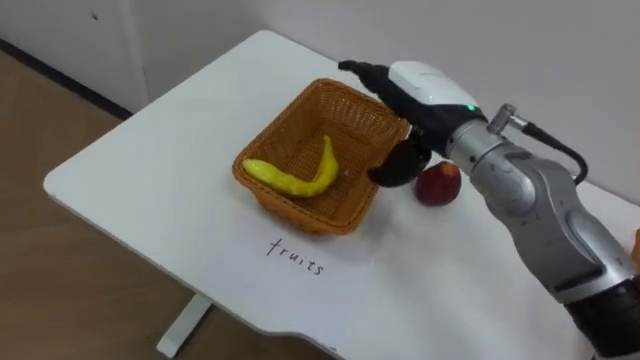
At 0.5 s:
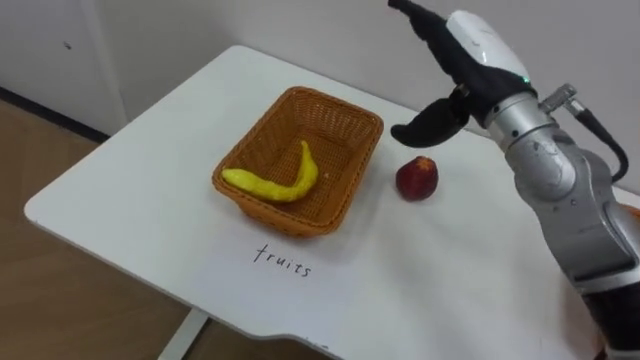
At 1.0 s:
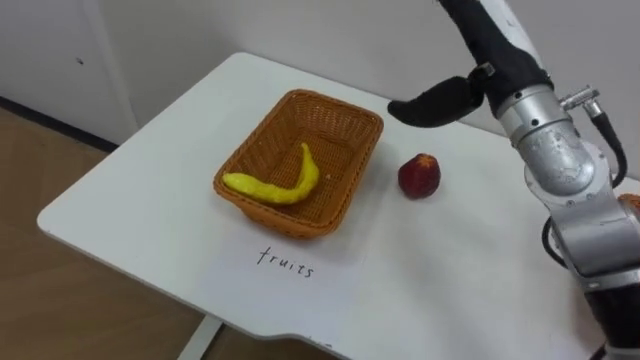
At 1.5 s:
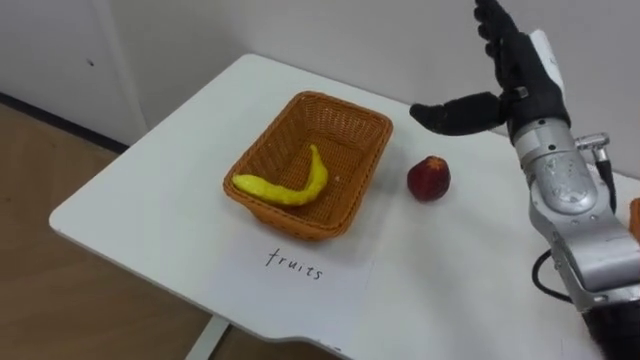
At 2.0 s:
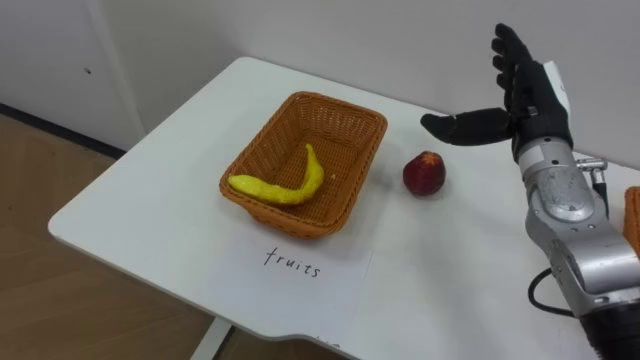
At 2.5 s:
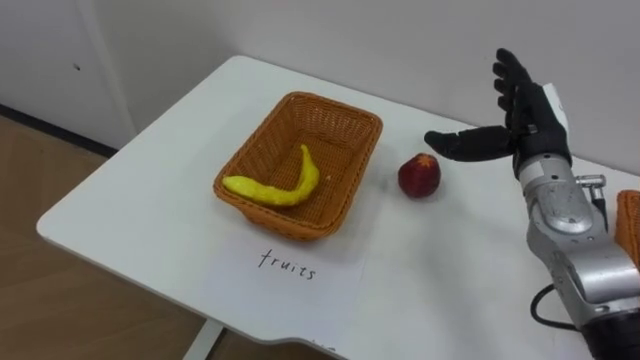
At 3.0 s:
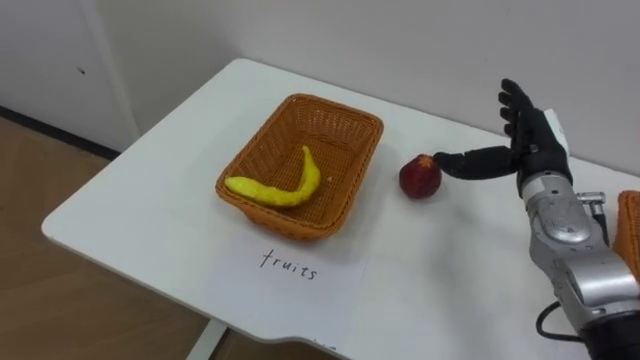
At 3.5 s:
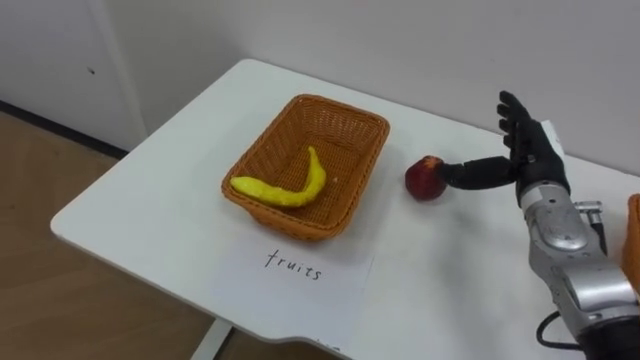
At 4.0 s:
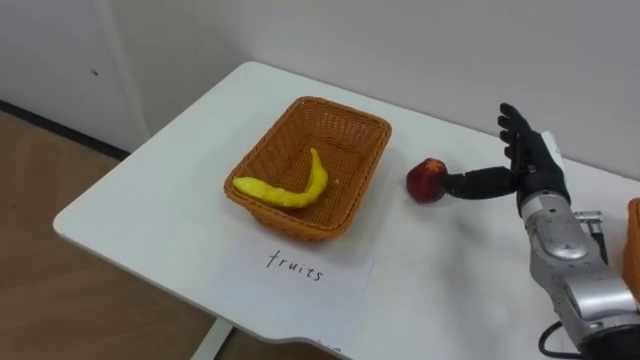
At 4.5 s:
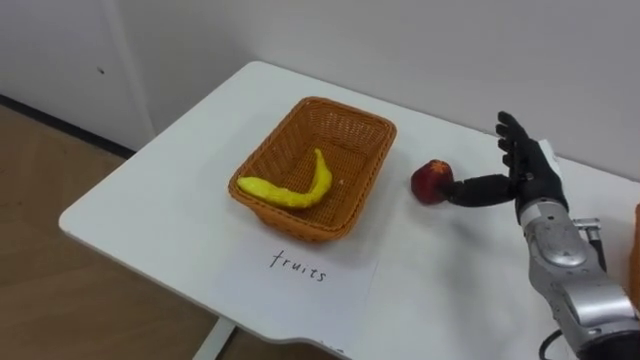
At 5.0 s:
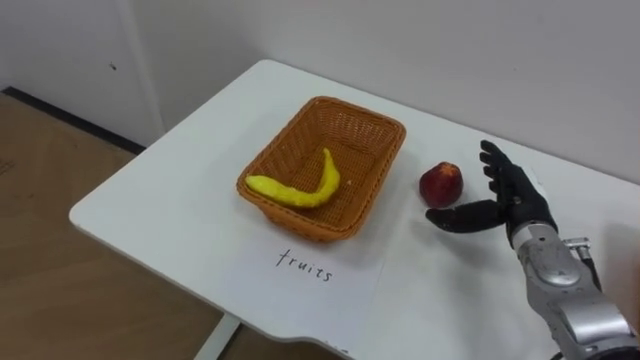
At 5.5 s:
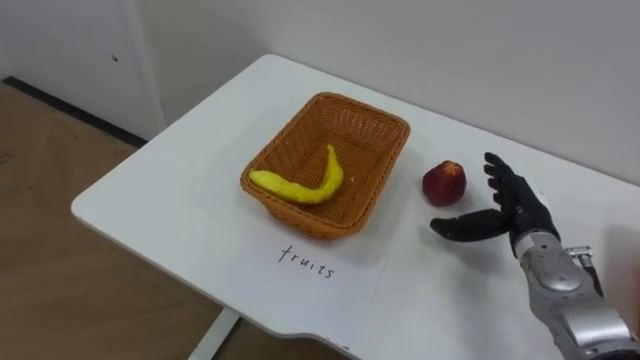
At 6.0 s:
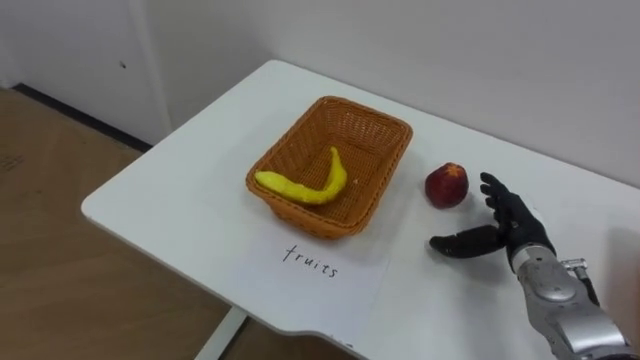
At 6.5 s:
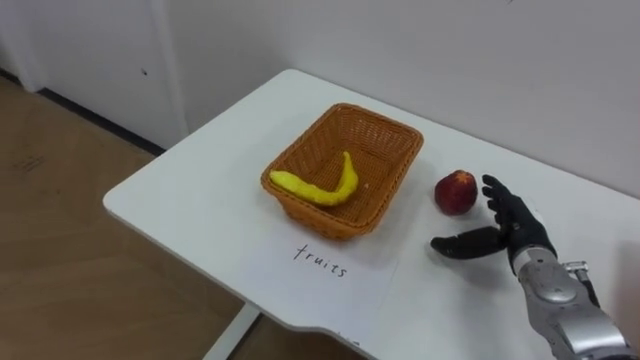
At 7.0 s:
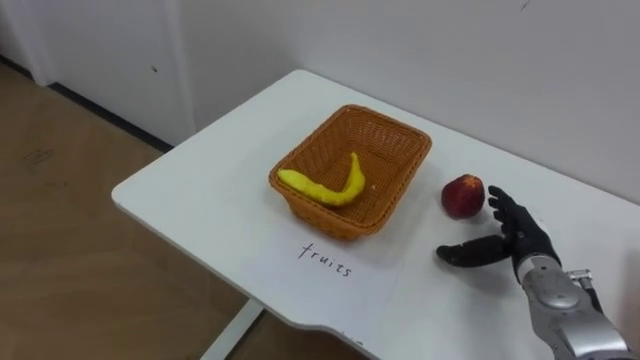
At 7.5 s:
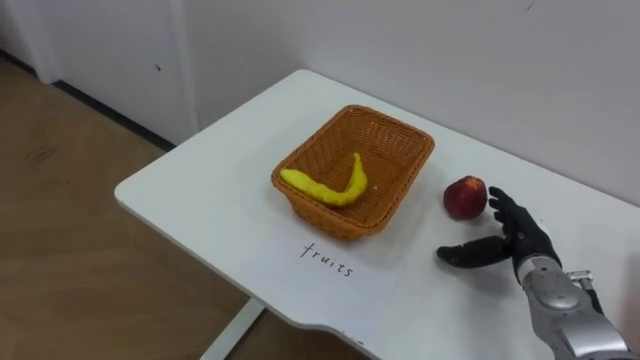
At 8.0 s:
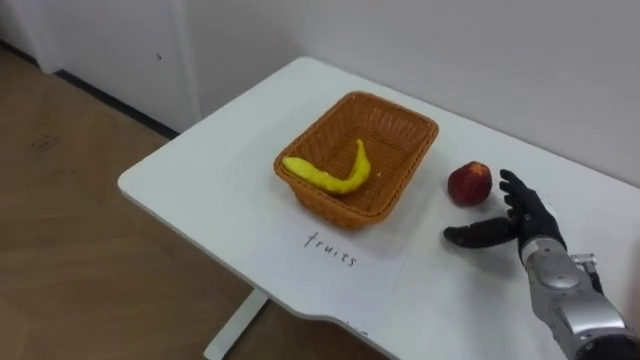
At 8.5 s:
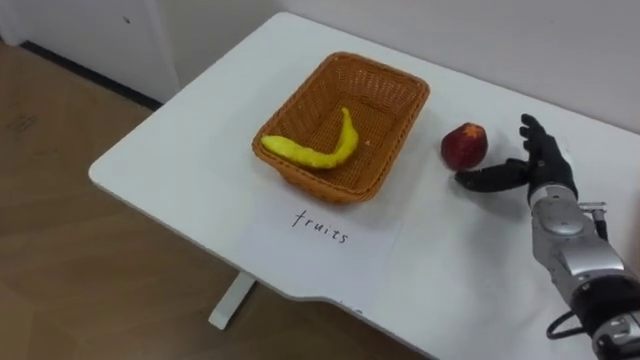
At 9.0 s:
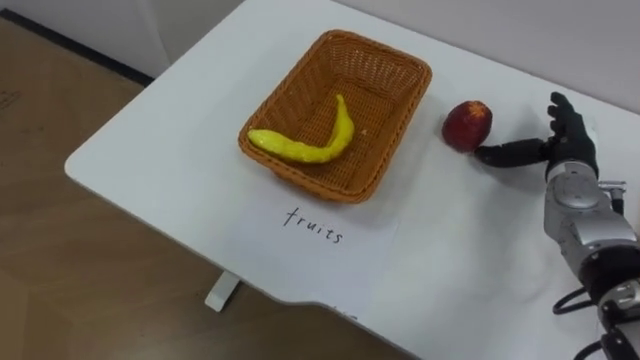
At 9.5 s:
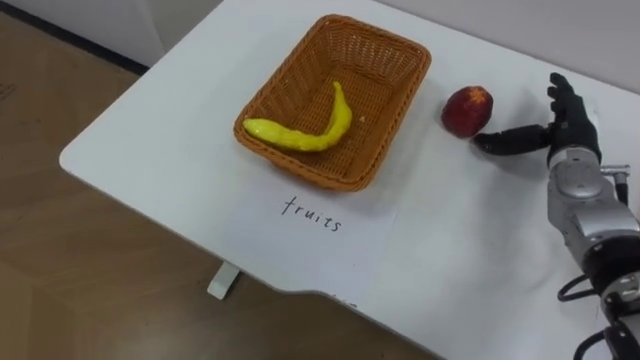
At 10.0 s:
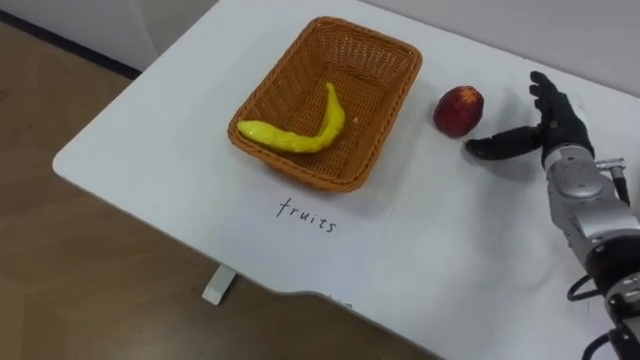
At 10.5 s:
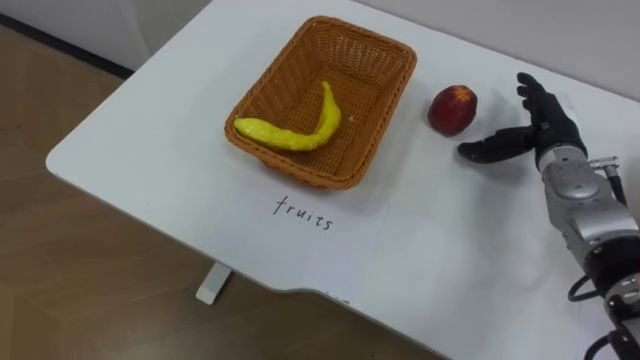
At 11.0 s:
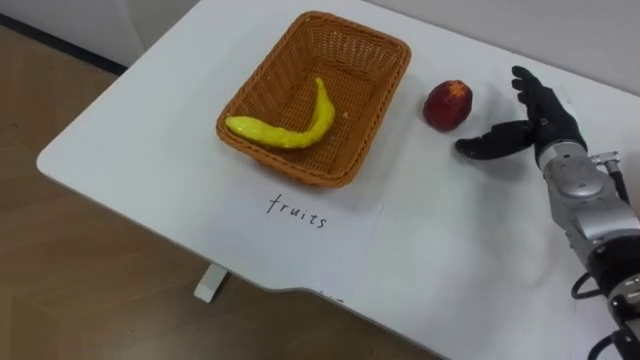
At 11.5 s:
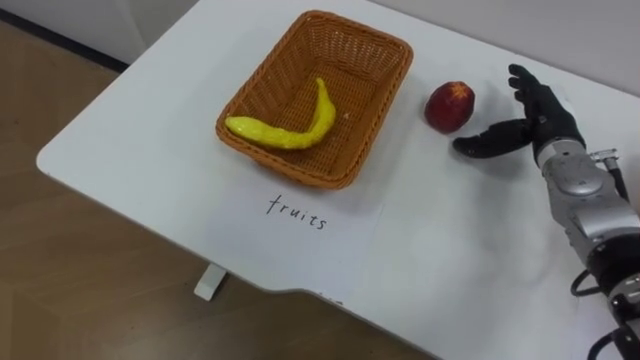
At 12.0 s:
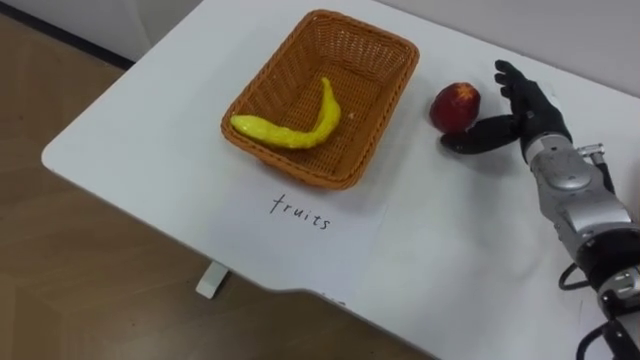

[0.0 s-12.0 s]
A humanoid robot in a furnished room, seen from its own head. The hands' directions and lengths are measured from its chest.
Task of the whole recording: Separate the items on the table and place them into the two baskets.
0.0 to 2.0 s: The right hand travels to the right by some 10 cm.
2.0 to 4.0 s: The right hand shifts some 10 cm downward.
4.0 to 6.0 s: The right hand shifts about 10 cm downward.
8.0 to 10.0 s: The right hand is displaced upward and forward by approximately 15 cm.

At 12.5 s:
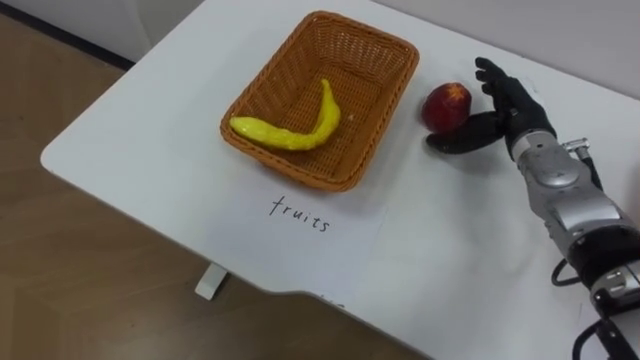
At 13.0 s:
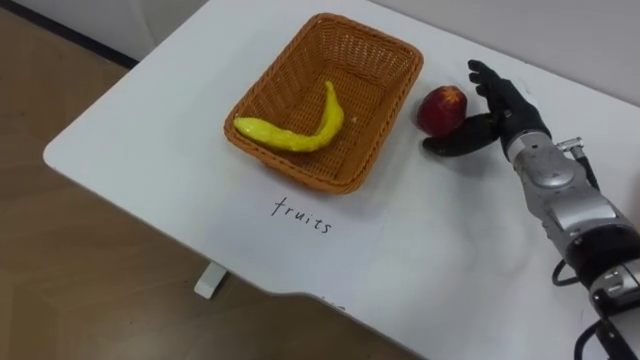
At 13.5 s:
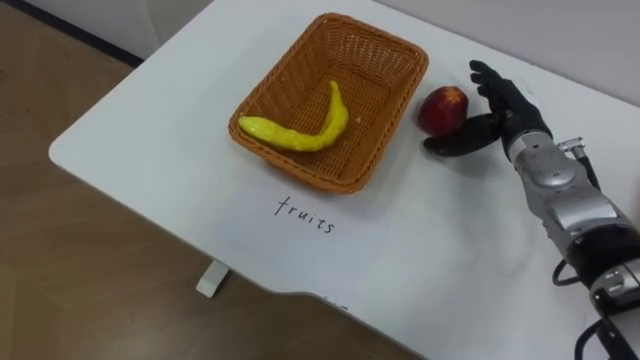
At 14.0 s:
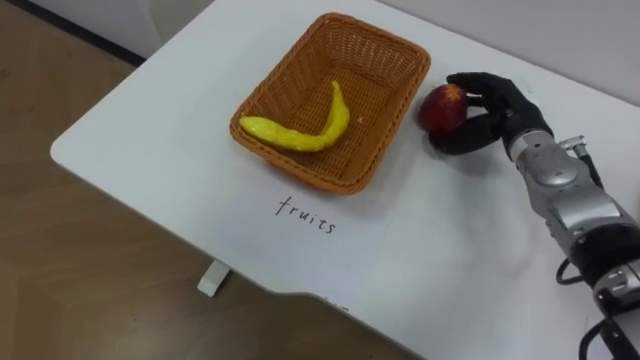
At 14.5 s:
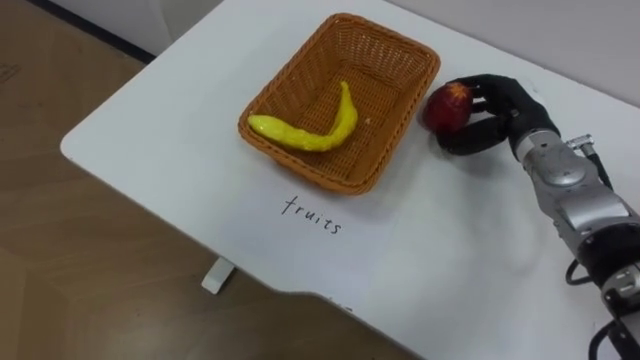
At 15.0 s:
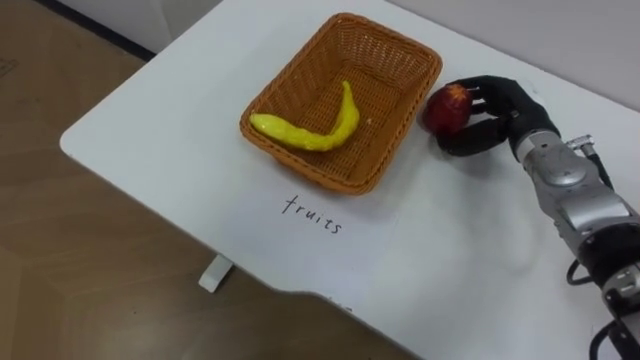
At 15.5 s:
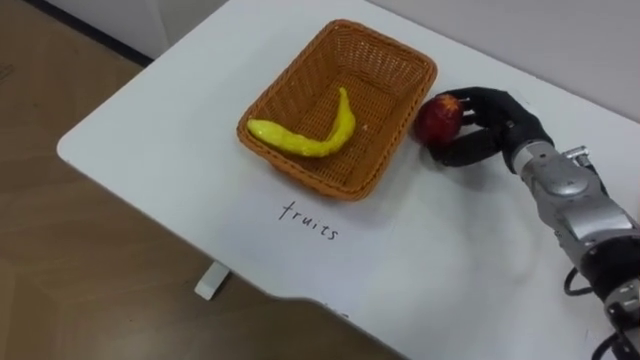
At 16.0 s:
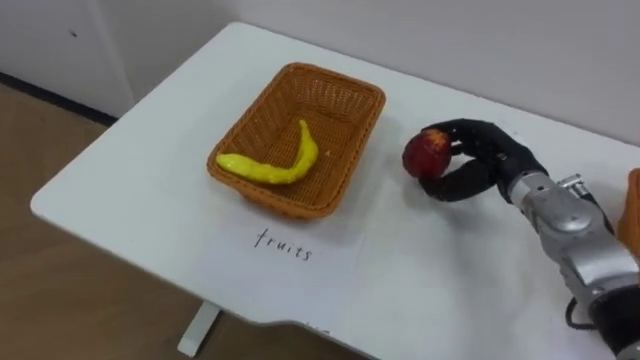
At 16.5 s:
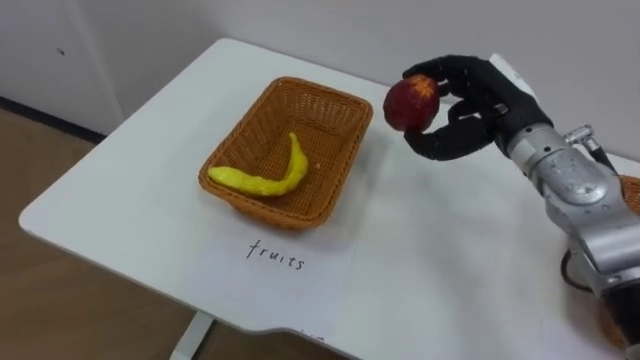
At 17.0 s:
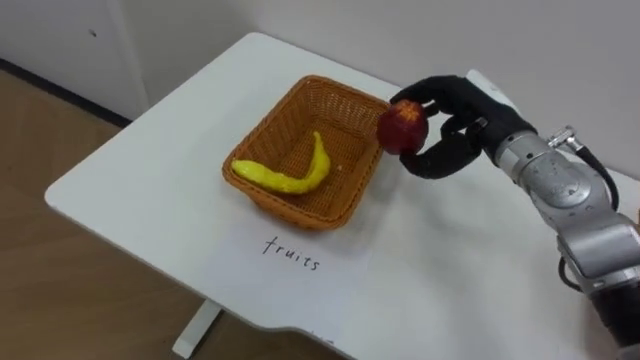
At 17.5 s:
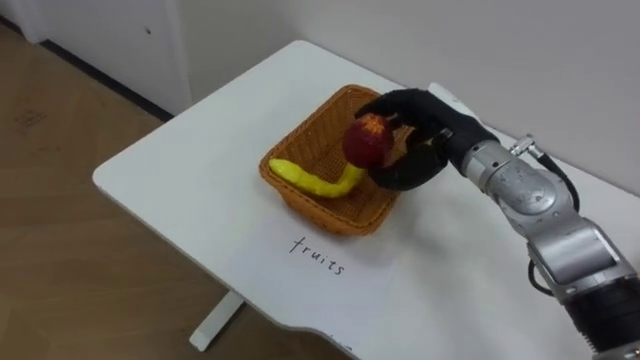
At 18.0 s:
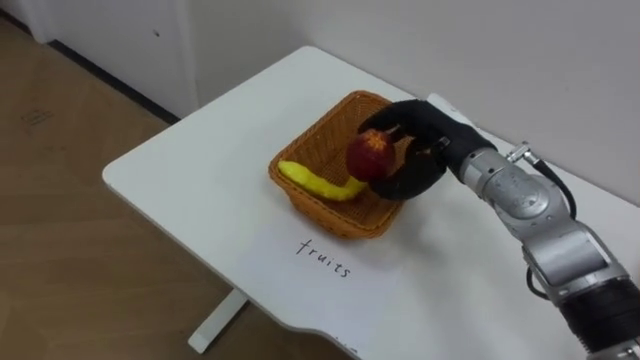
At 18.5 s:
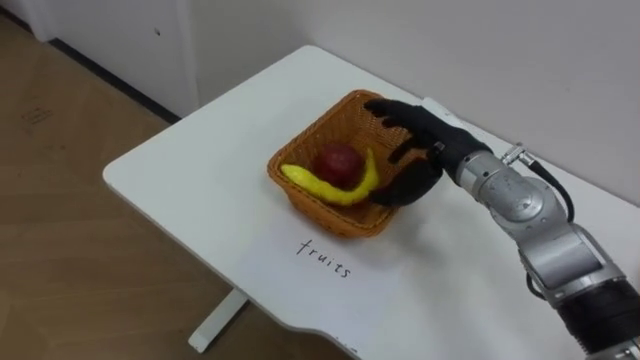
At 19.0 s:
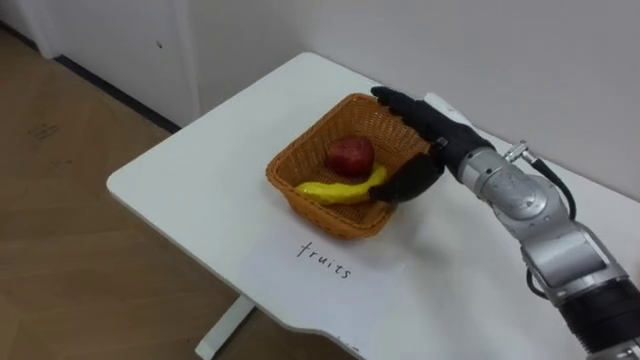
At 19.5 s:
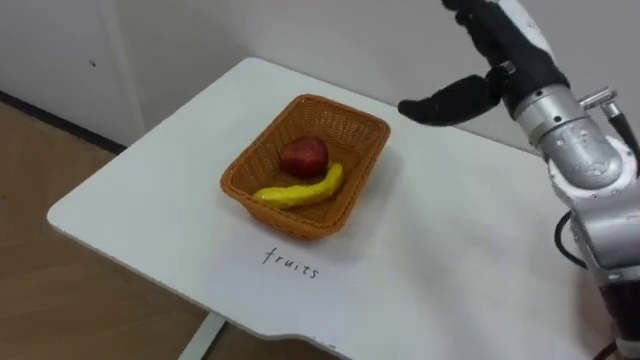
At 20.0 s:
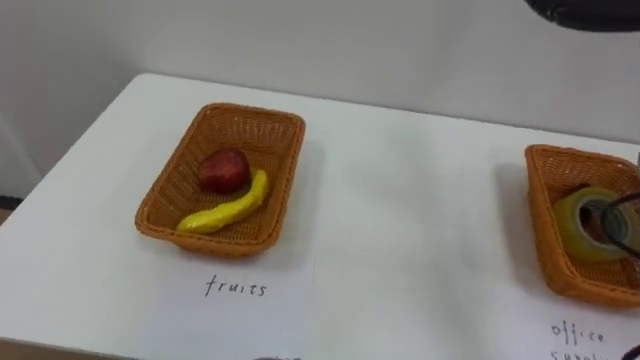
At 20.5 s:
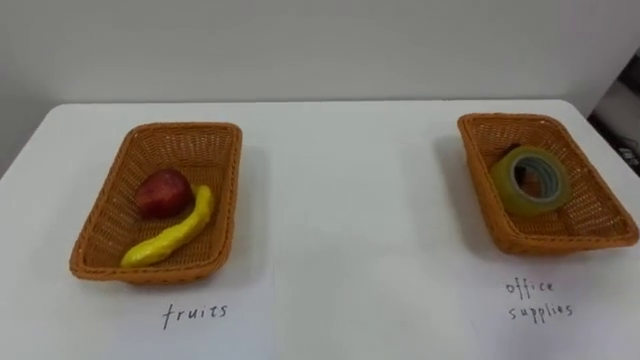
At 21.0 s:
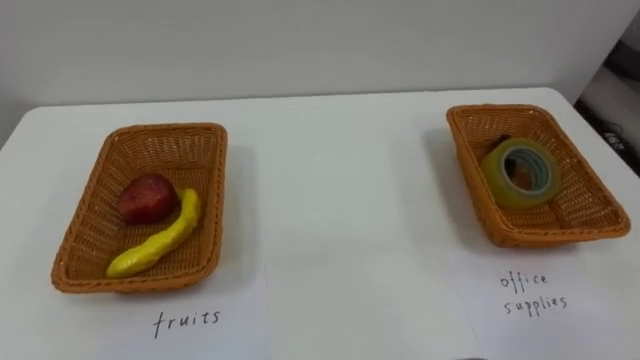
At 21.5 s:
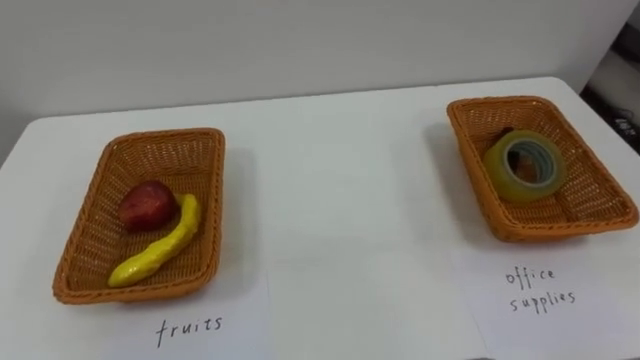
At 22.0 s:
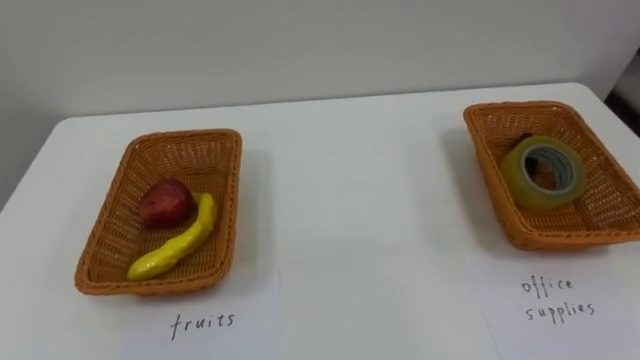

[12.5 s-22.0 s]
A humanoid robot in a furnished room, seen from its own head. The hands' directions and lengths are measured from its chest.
Task of the whole recording: Separate the items on the table and place them into the two baskets.
12.5 to 14.5 s: The right hand closes up.
14.5 to 16.5 s: The right hand shifts roughly 5 cm upward.
16.5 to 18.0 s: The right hand goes about 5 cm to the left.
